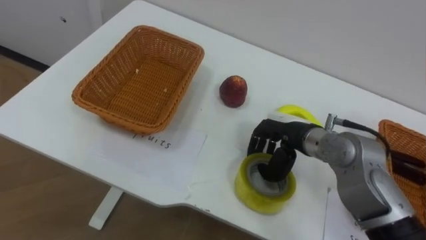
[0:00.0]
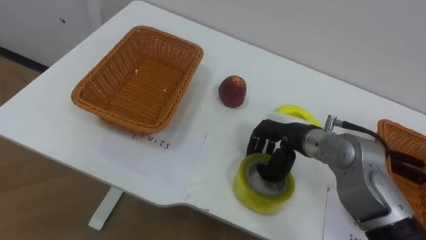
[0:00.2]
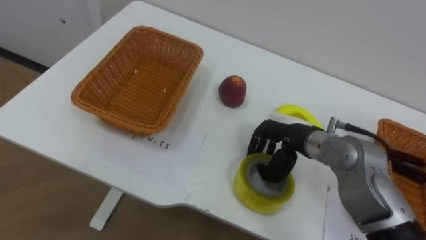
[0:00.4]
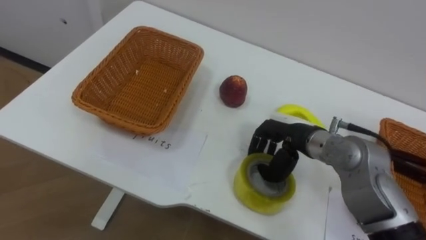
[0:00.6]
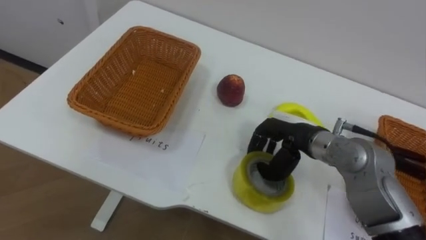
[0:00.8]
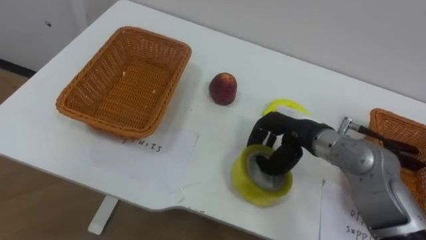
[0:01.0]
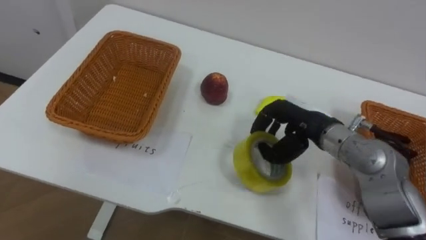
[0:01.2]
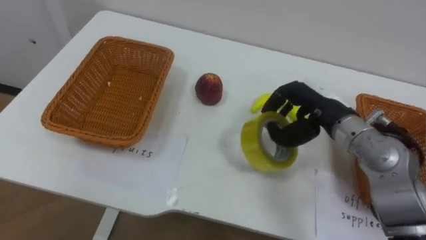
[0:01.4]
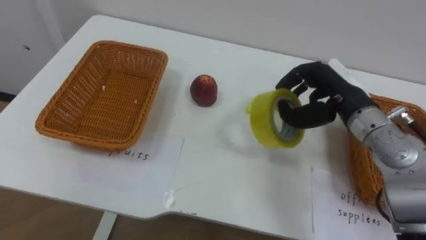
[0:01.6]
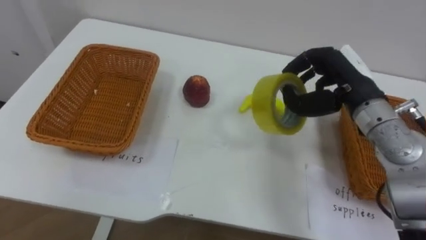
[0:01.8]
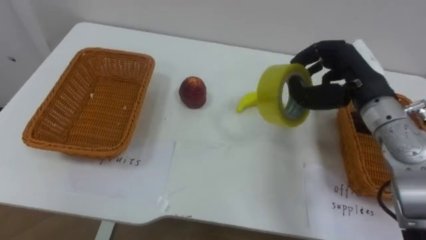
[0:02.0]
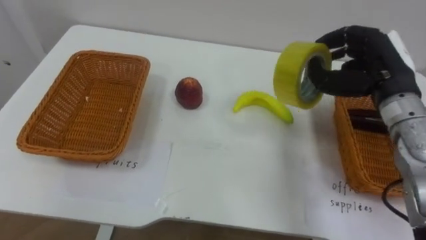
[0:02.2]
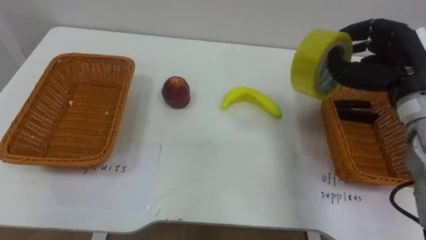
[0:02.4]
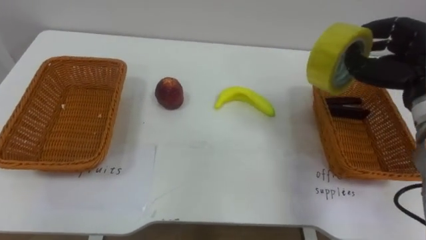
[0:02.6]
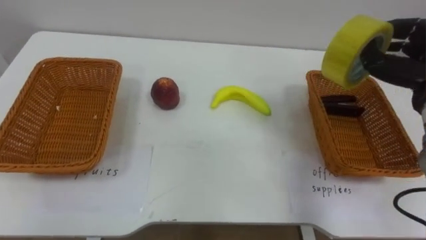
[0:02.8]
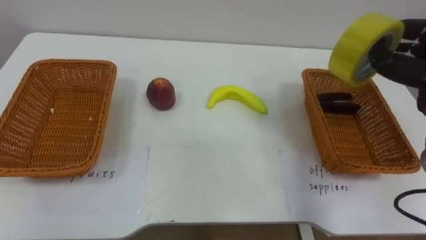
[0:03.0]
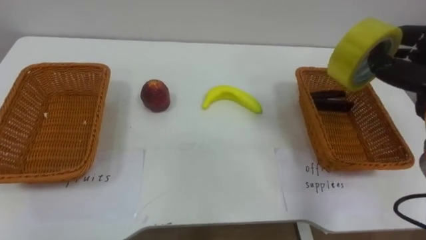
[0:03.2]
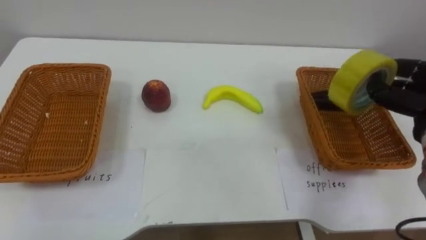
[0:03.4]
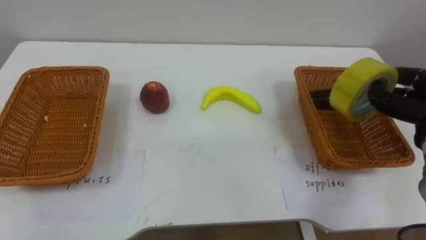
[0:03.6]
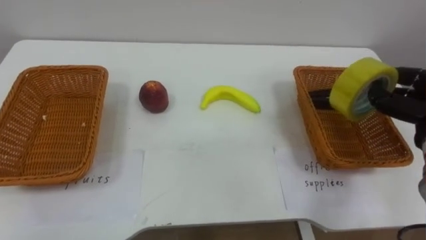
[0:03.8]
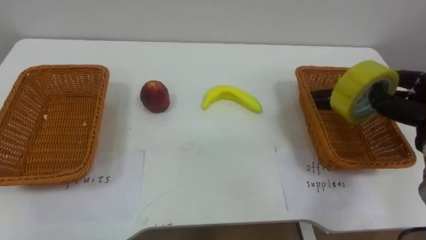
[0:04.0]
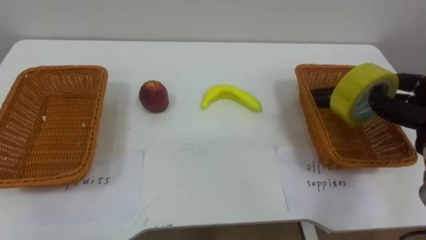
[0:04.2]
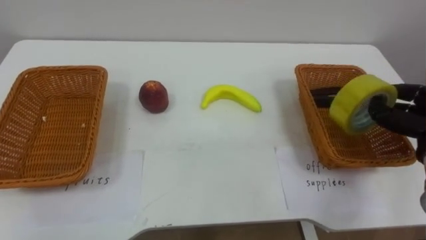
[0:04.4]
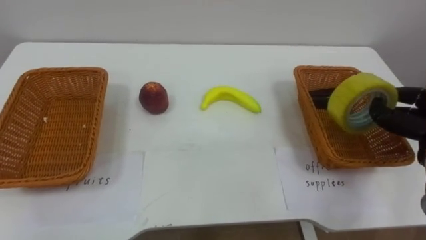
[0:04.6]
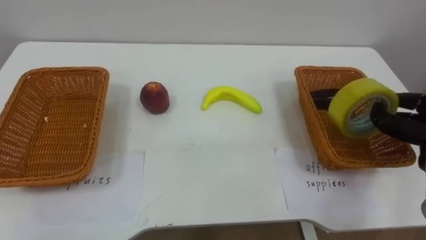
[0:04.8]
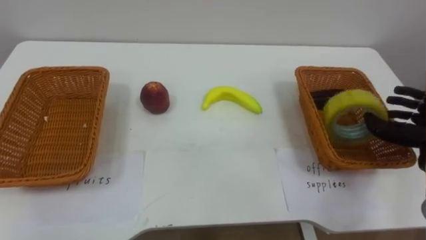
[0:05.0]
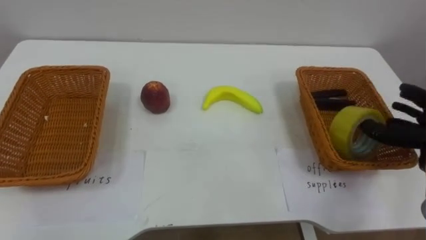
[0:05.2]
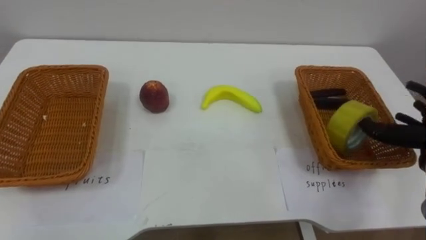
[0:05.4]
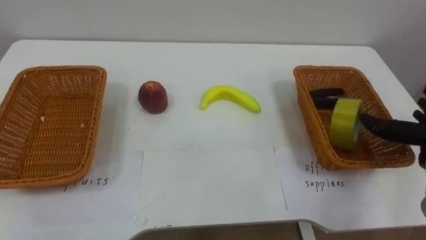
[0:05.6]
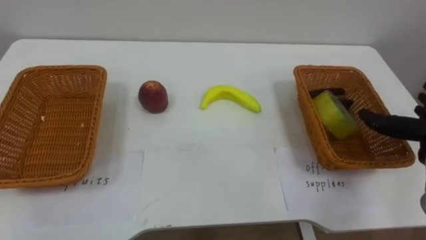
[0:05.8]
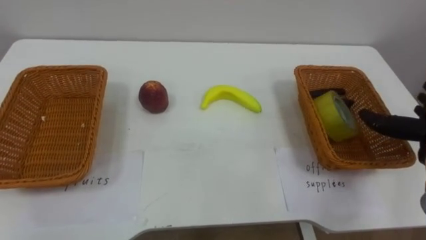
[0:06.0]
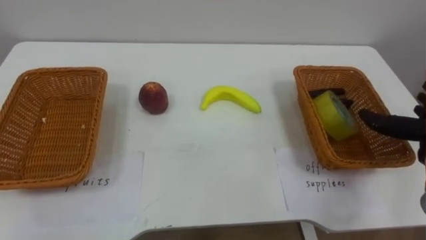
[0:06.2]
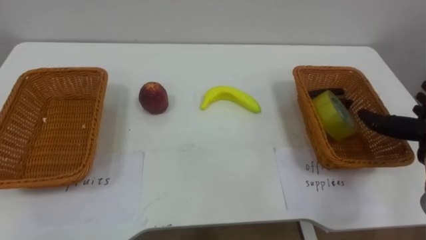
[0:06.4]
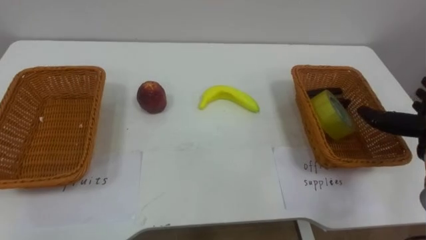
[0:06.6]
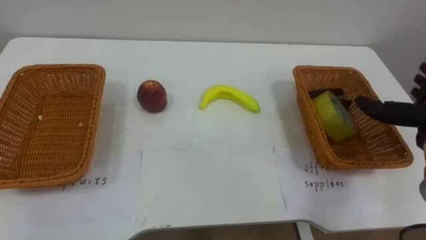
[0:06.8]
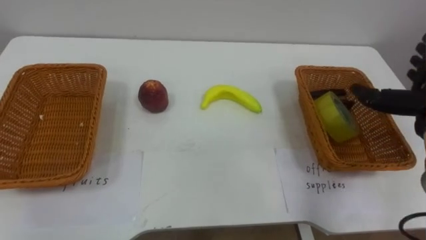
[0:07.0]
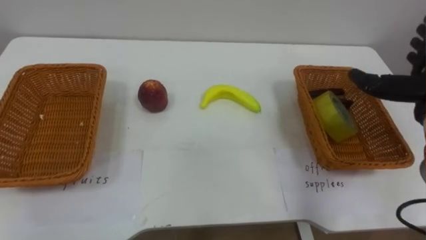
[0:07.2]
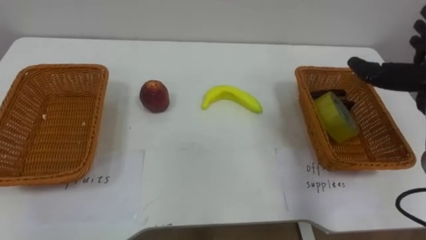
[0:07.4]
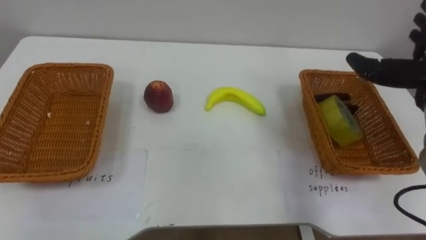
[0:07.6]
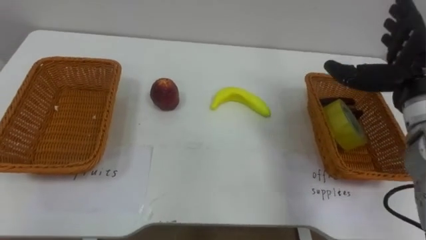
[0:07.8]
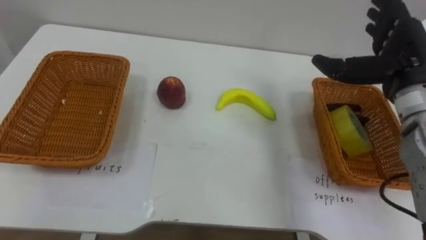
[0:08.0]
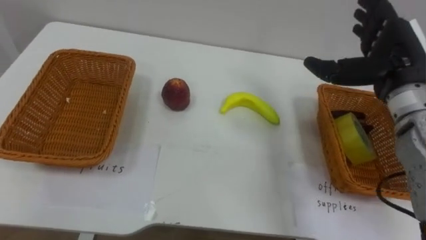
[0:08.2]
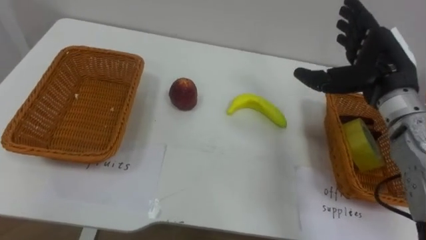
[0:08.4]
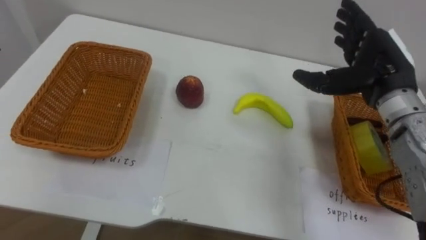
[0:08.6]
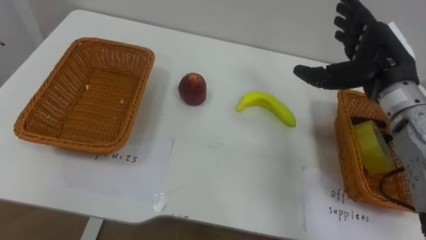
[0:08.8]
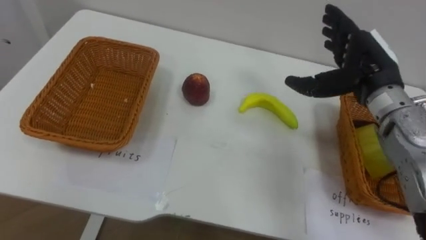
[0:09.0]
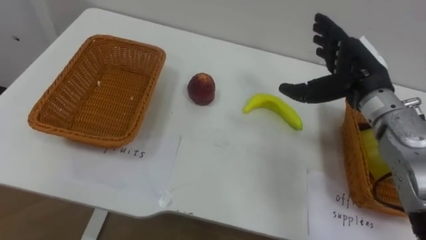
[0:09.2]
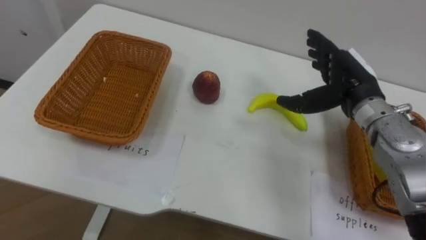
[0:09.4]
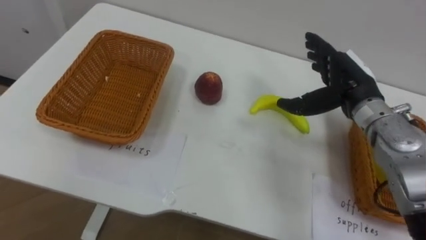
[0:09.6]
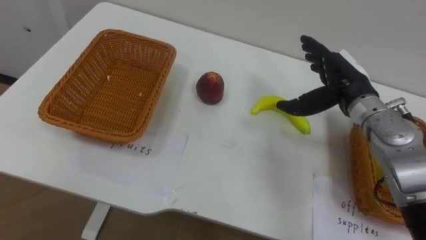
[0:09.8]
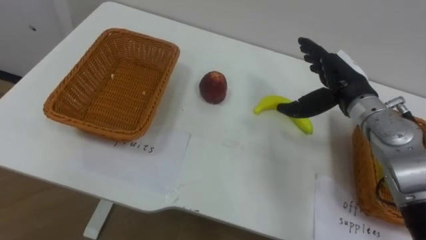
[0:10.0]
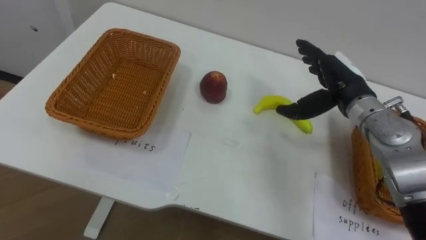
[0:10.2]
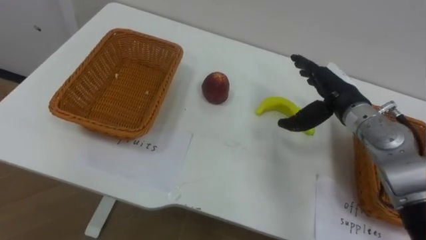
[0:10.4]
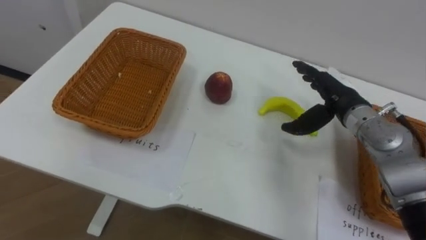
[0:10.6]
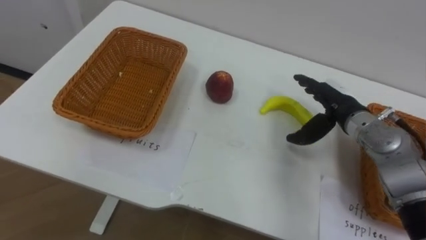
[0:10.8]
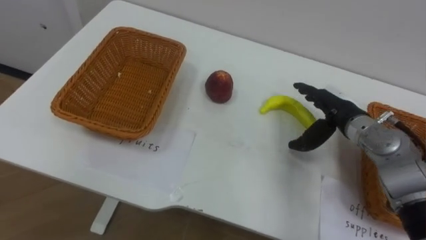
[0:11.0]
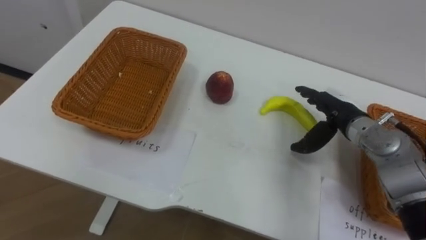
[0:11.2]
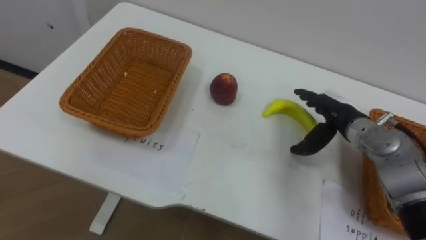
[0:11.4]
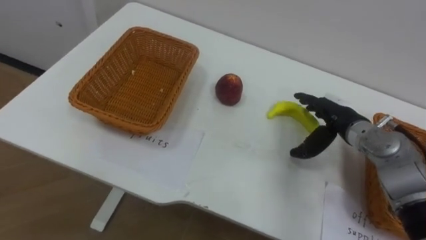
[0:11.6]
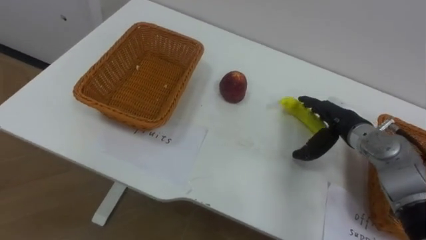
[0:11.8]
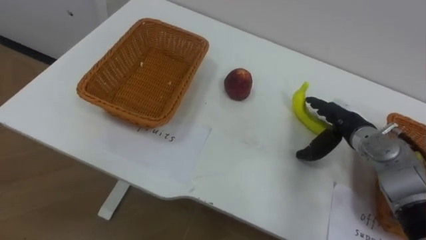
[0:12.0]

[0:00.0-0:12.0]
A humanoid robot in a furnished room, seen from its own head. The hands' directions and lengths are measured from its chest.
Task of the whole recording: Separate the items on the table and place them into the two baskets.
0:00.0 to 0:01.6: The right hand shifts approximately 10 cm upward and to the right.
0:09.0 to 0:10.4: The right hand moves downward, approximately 5 cm.
0:10.4 to 0:12.0: The right hand moves downward, about 5 cm.

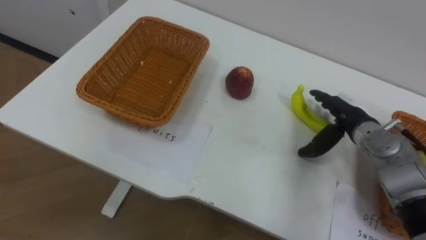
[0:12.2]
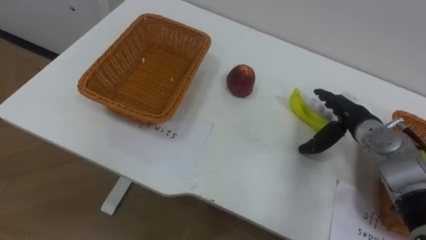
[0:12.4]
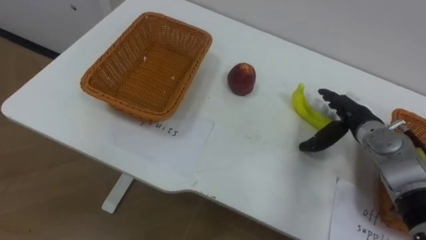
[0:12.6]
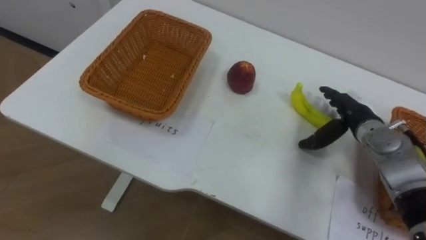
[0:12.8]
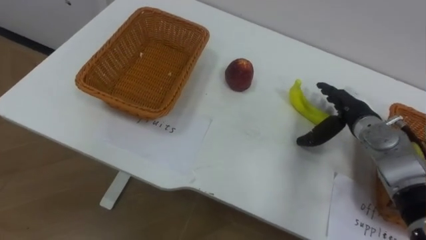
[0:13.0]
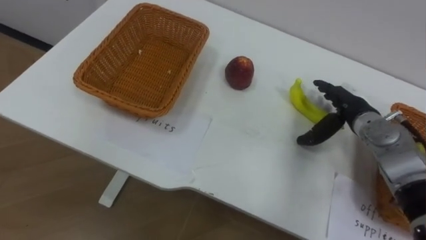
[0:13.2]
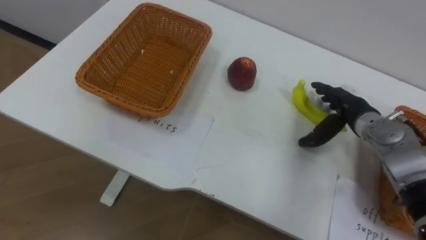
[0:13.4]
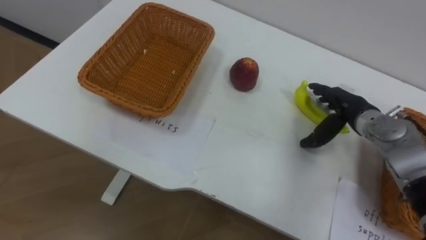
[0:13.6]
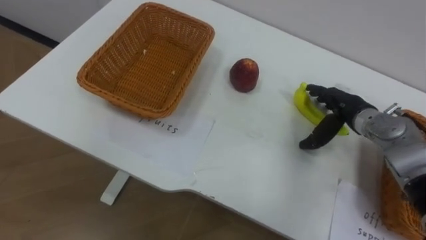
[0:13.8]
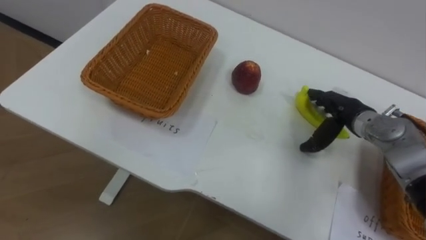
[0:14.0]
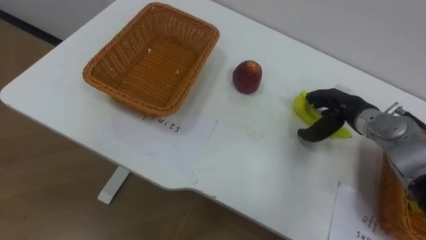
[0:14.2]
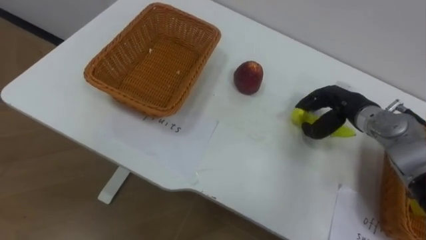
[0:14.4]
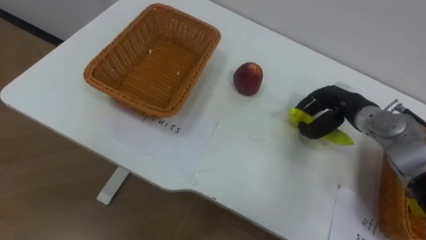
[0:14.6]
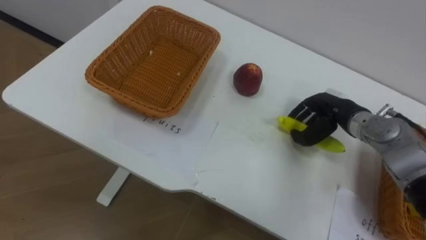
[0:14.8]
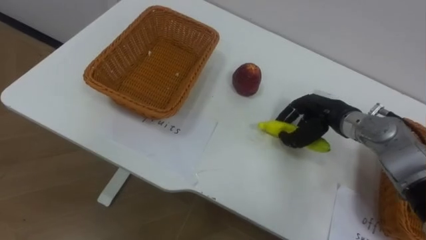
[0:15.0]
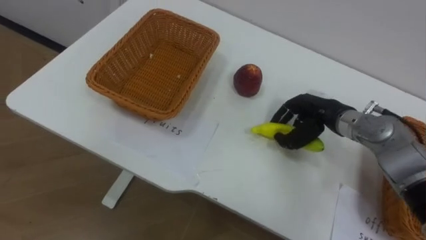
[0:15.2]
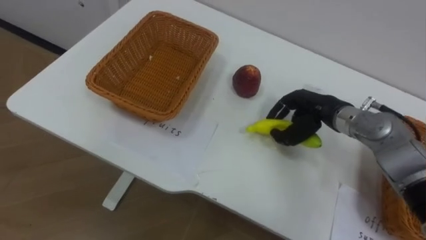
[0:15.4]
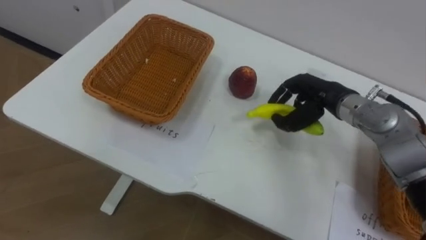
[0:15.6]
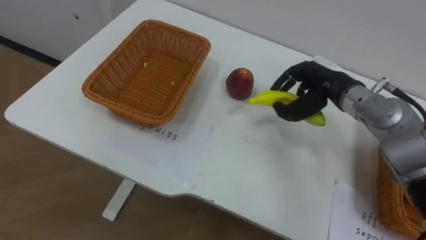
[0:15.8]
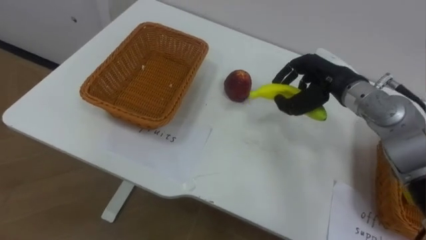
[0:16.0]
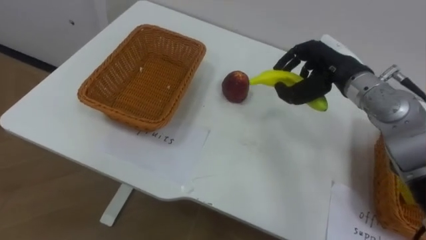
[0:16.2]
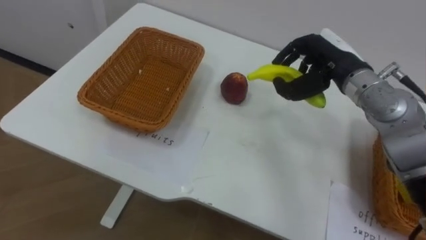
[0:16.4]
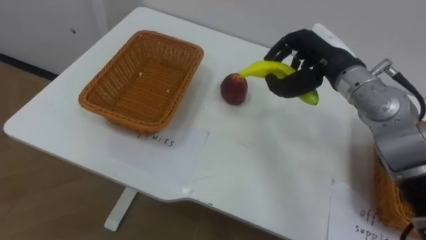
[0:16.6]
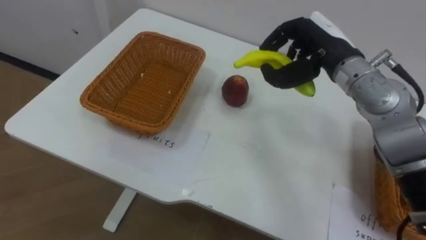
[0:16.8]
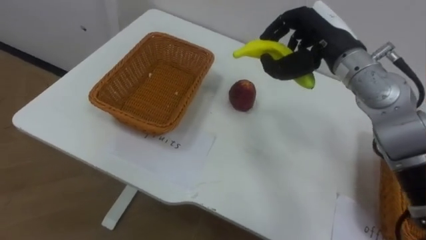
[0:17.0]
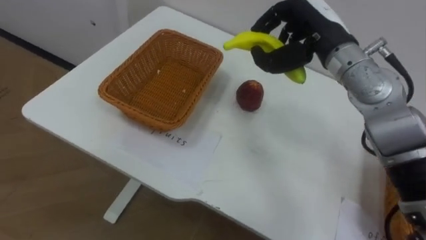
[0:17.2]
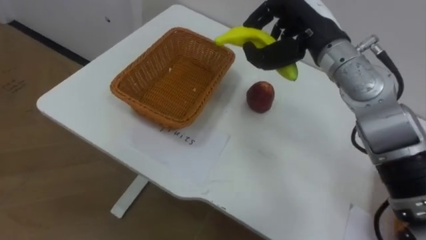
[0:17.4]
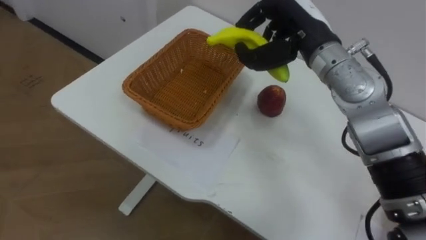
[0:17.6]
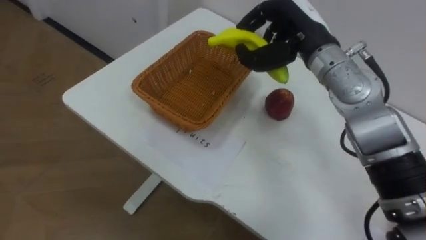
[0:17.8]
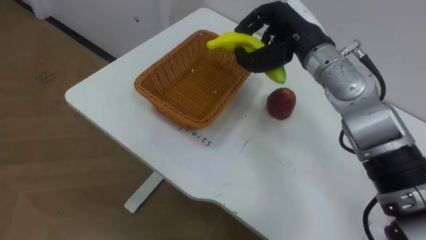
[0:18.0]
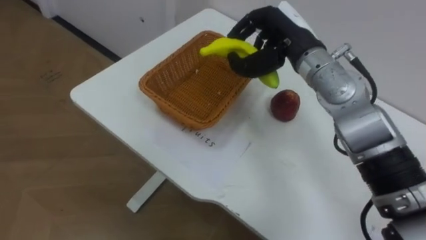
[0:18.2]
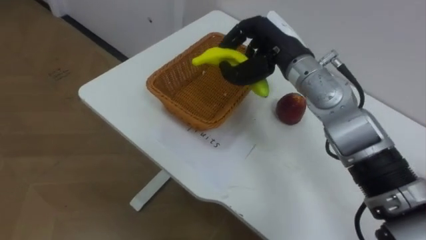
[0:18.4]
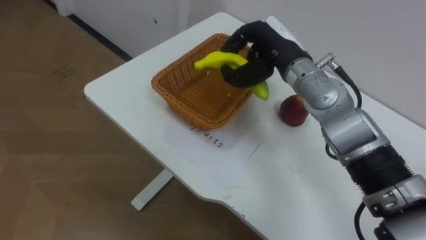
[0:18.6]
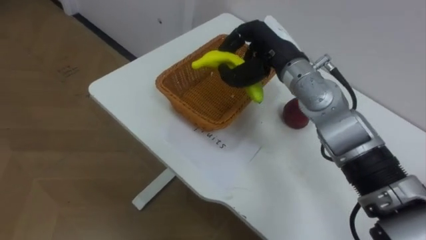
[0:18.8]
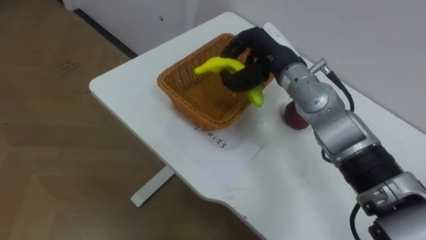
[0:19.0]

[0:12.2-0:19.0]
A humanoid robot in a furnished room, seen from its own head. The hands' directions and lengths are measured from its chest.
Task of the whole recording: Separate the items on the table and place them into the two baskets.
0:13.6 to 0:15.0: The right hand closes its fingers.
0:15.0 to 0:16.2: The right hand moves upward, approximately 10 cm.
0:16.2 to 0:17.6: The right hand travels to the left and upward by approximately 10 cm.
0:17.6 to 0:19.0: The right hand travels downward by roughly 5 cm.
